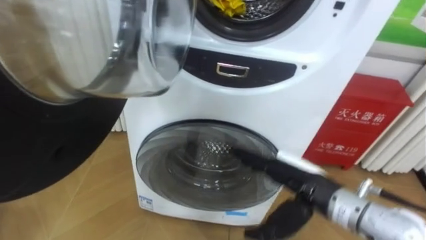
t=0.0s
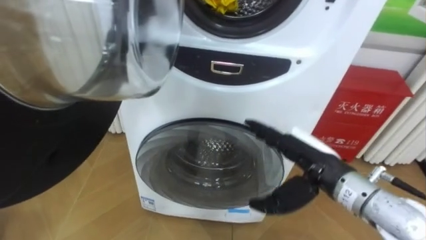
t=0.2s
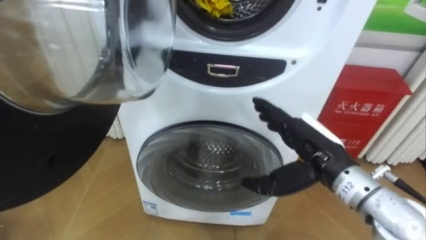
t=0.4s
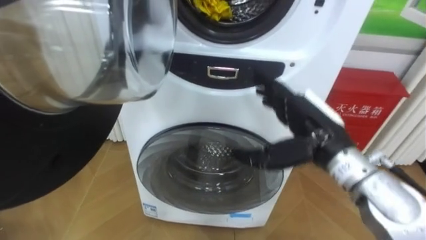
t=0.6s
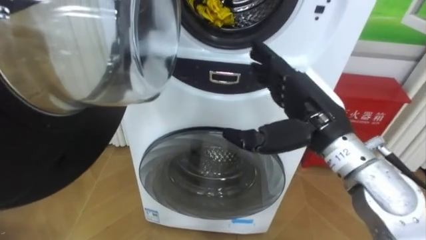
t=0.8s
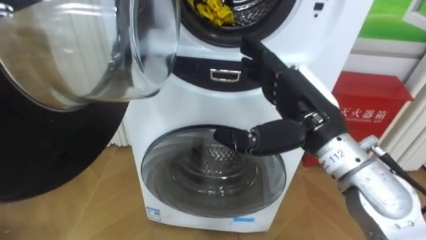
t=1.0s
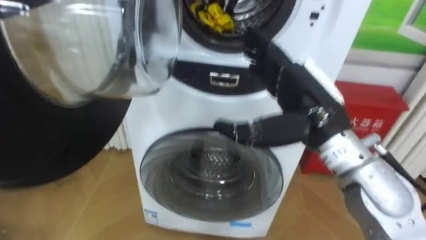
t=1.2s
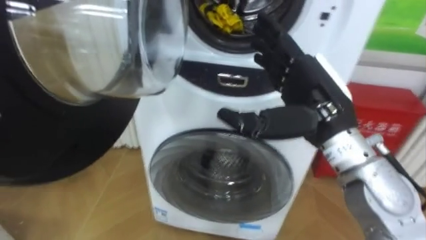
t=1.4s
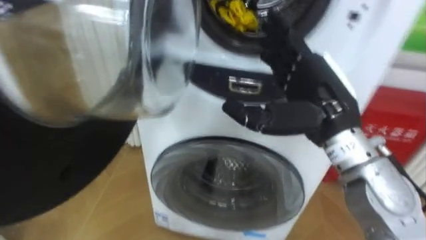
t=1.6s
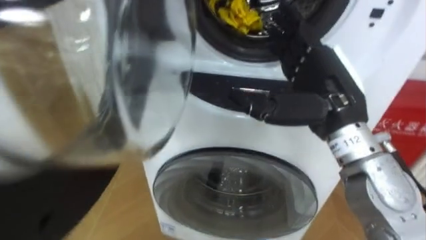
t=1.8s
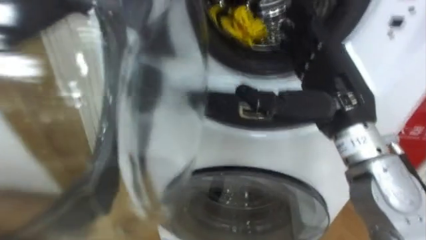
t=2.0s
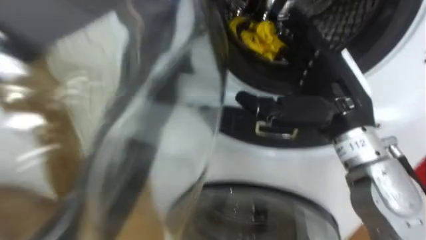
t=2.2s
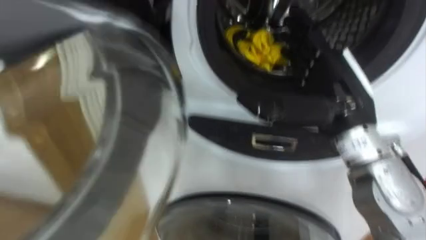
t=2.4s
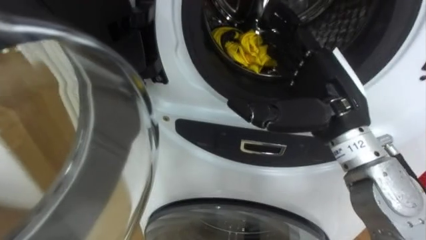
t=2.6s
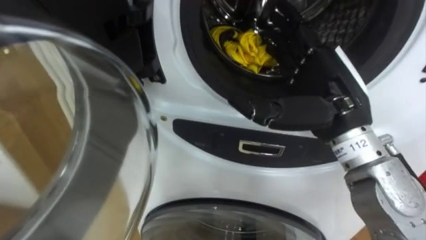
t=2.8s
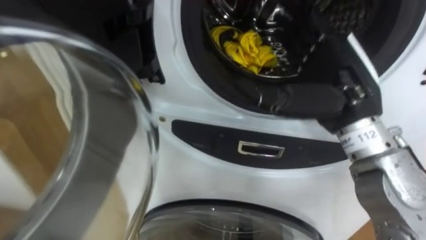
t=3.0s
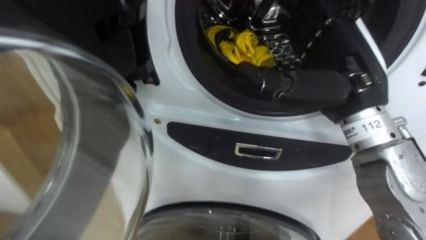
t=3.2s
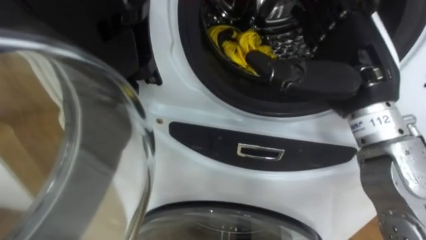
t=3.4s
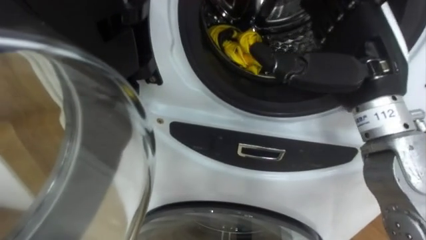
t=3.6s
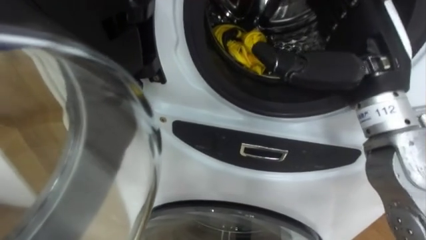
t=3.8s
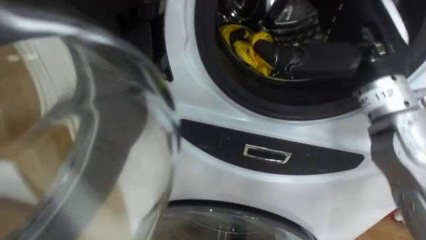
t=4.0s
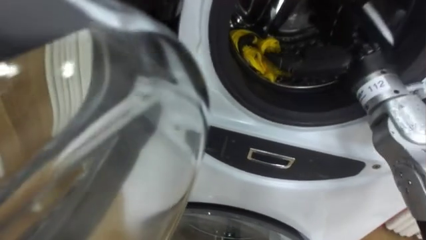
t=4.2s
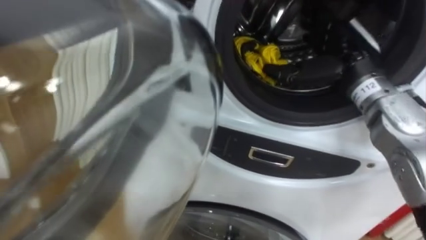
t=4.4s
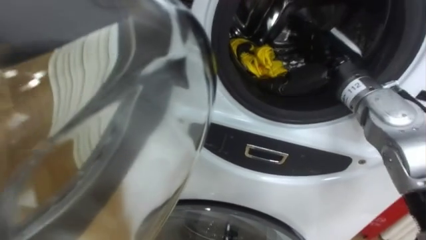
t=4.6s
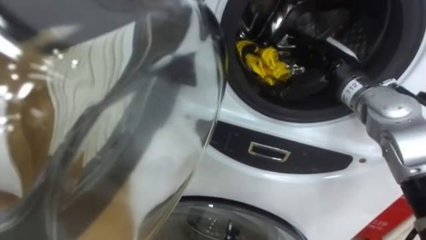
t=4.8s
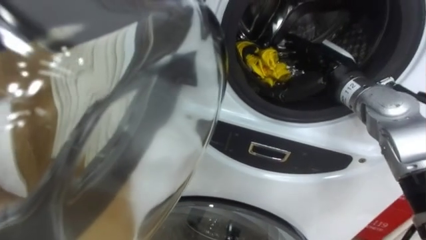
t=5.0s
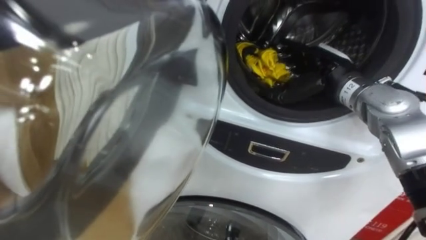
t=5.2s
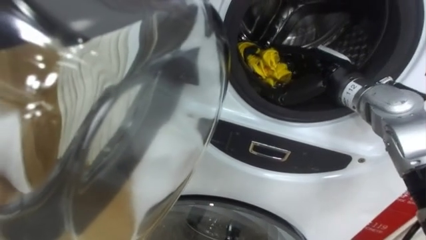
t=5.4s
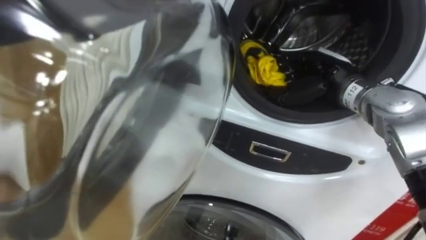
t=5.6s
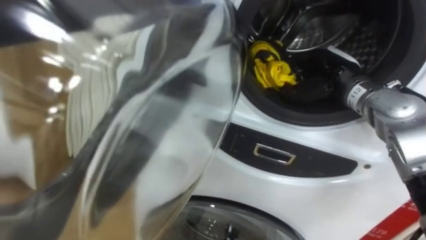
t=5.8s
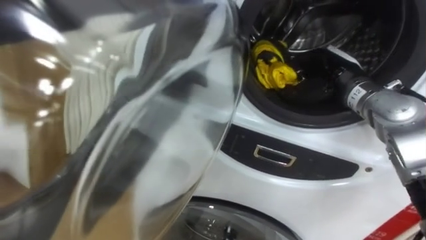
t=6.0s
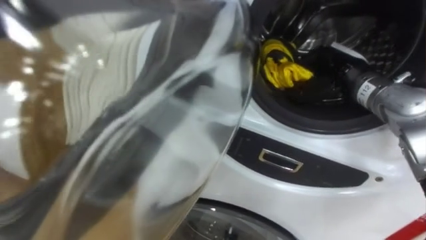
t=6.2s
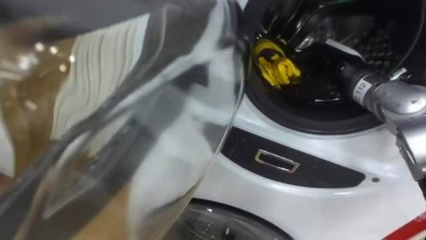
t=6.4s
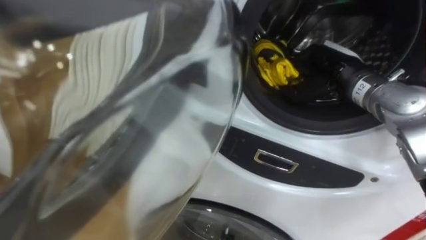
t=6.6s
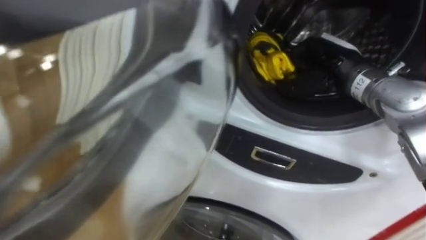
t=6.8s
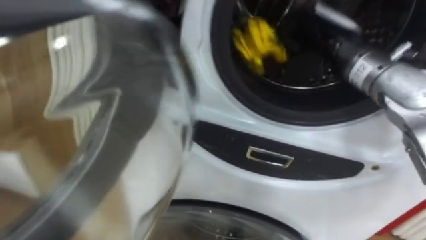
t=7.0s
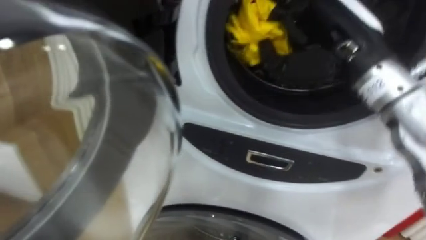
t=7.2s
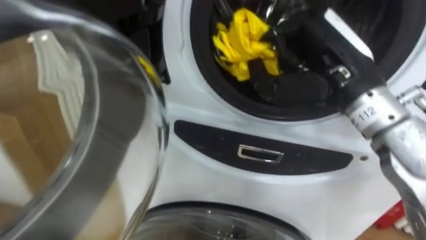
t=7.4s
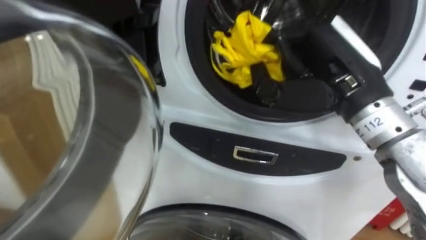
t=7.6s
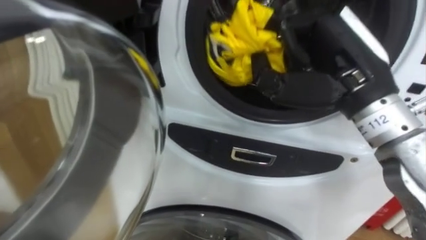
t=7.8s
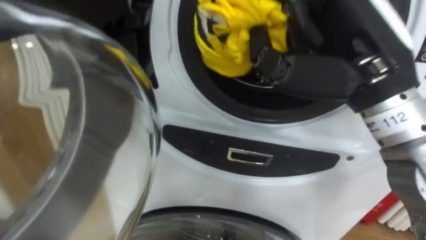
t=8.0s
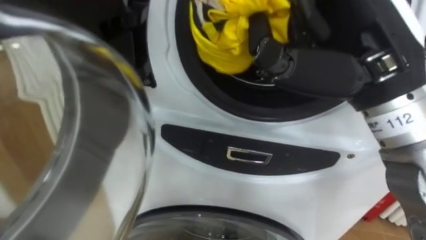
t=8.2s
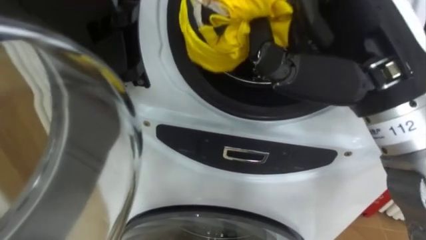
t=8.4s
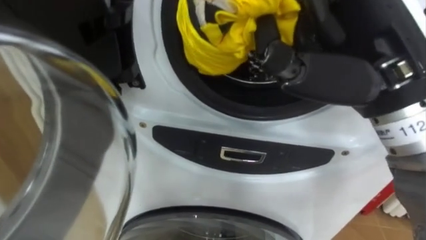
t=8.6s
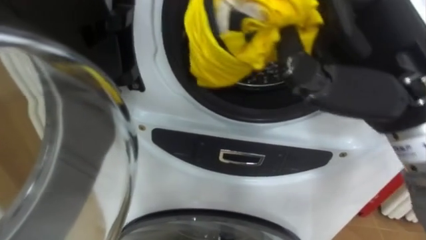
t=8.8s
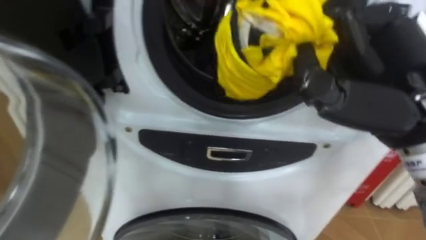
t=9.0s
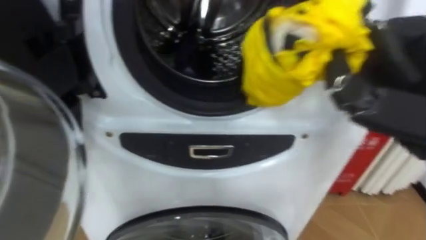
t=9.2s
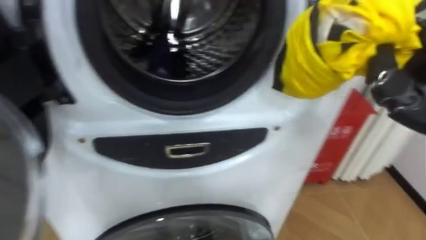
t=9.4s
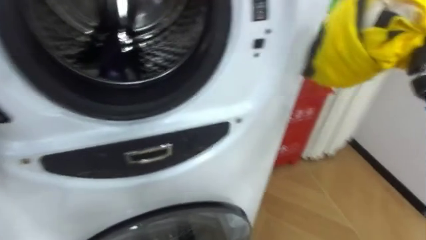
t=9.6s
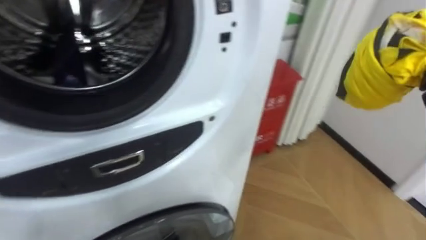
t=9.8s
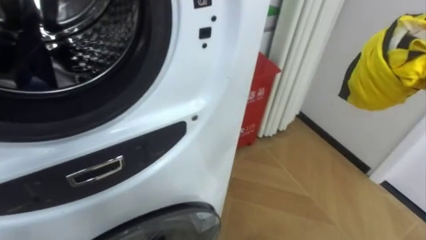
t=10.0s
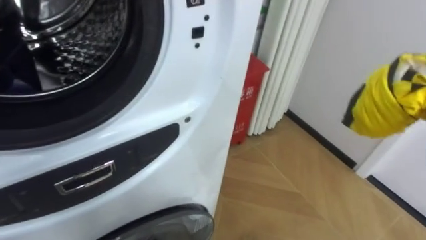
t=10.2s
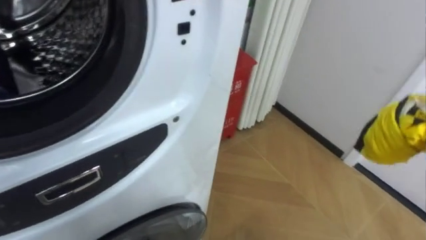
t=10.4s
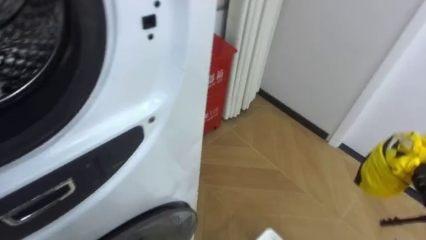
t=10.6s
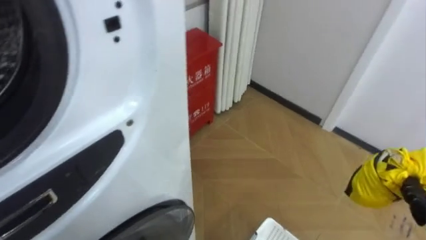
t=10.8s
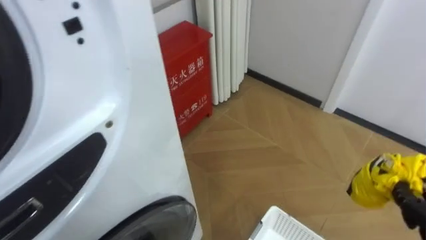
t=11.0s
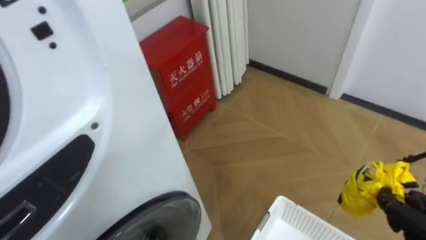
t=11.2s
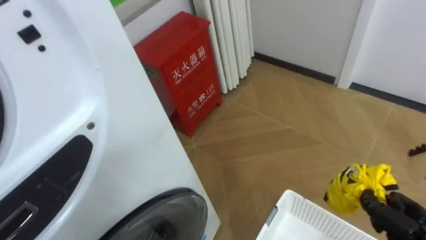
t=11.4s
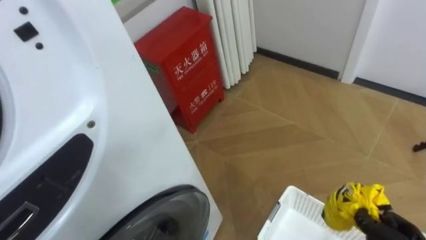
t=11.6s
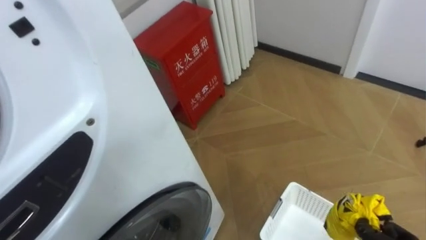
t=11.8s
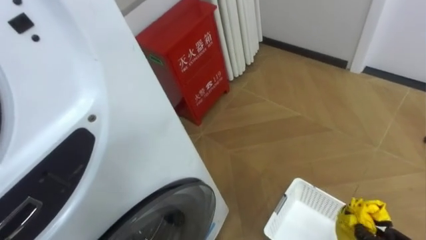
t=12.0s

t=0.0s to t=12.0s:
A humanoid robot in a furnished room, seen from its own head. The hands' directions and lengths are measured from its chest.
Task of the whole recording: Open the washing machine door, take out the yellow clothes, place them in the box on the right, and close the washing machine door.
t=0.0s to t=1.6s: The right hand heads upward, covering approximately 15 cm.
t=3.0s to t=4.4s: The right hand heads forward, covering roughly 10 cm.
t=4.4s to t=6.0s: The right hand moves downward, approximately 5 cm, and closes.
t=6.0s to t=7.6s: The right hand is displaced backward and upward by roughly 15 cm.
t=7.6s to t=9.0s: The right hand is displaced backward by roughly 5 cm.

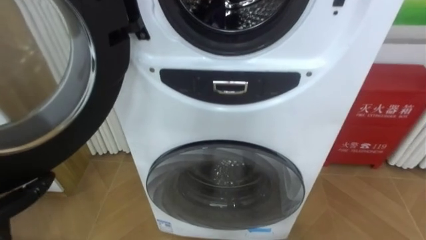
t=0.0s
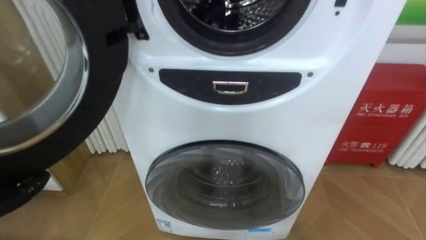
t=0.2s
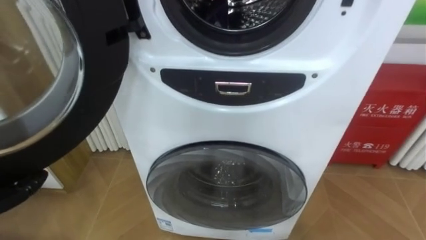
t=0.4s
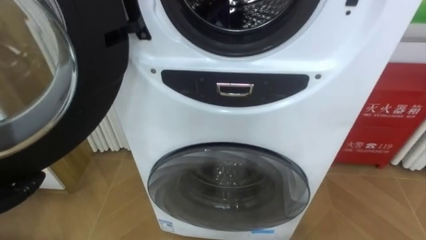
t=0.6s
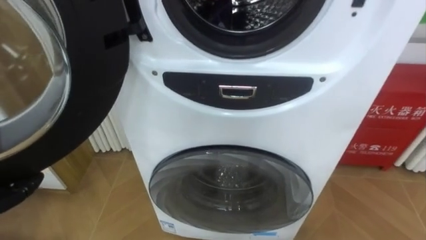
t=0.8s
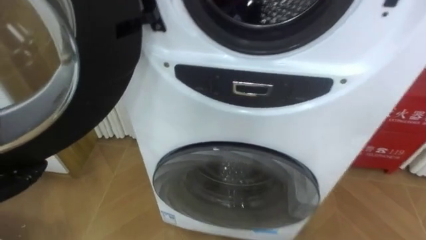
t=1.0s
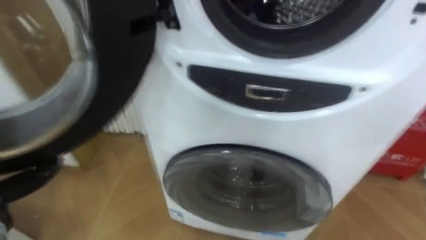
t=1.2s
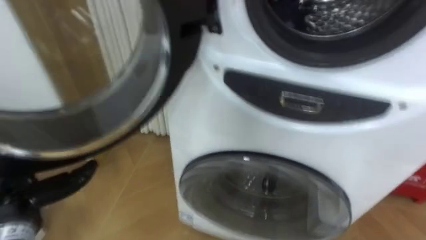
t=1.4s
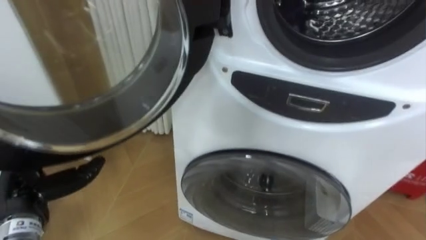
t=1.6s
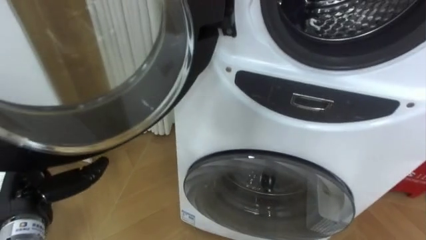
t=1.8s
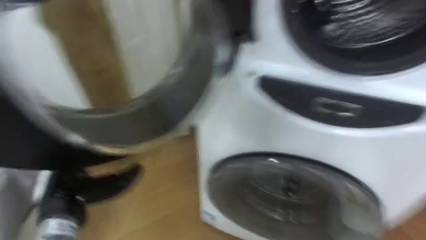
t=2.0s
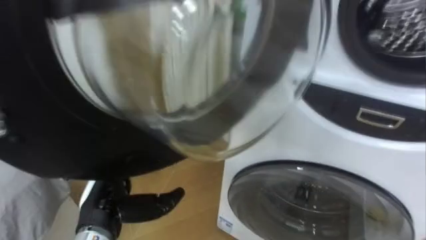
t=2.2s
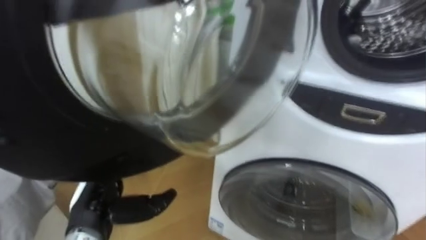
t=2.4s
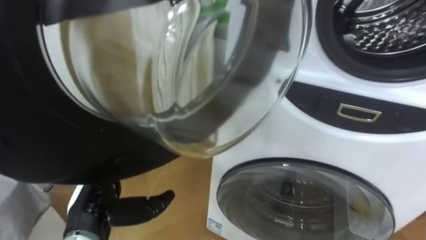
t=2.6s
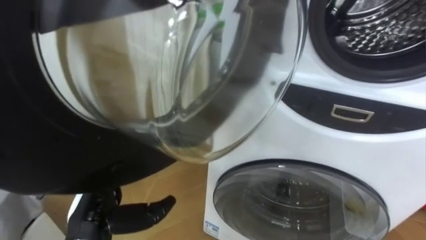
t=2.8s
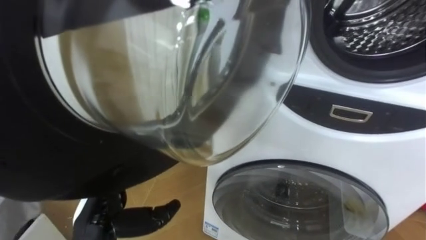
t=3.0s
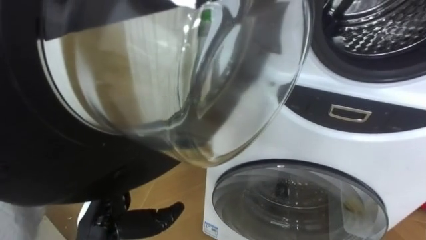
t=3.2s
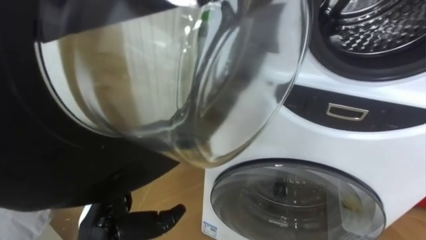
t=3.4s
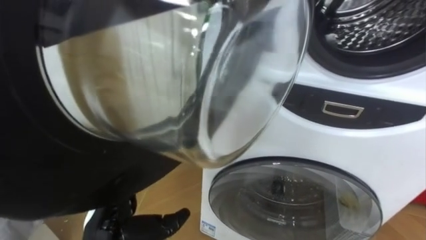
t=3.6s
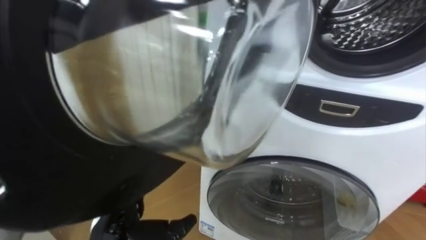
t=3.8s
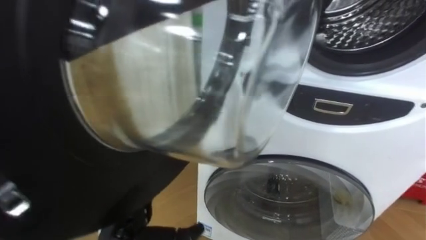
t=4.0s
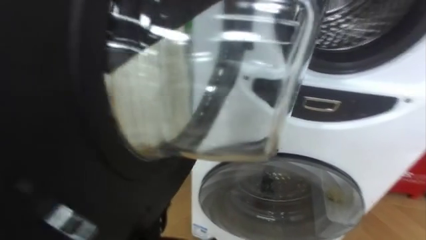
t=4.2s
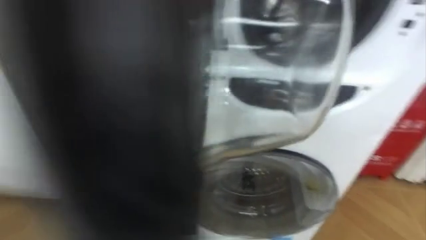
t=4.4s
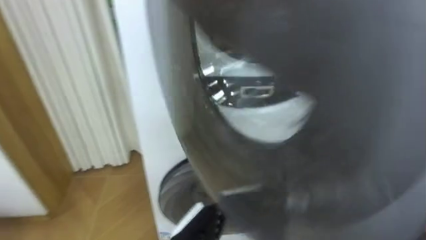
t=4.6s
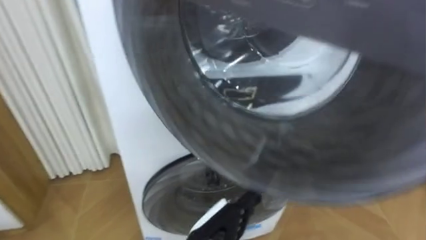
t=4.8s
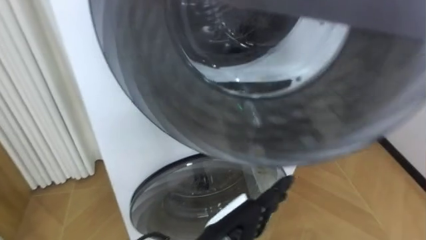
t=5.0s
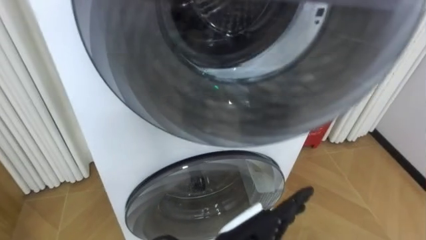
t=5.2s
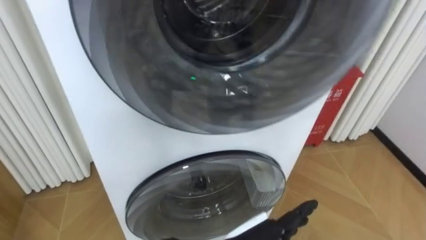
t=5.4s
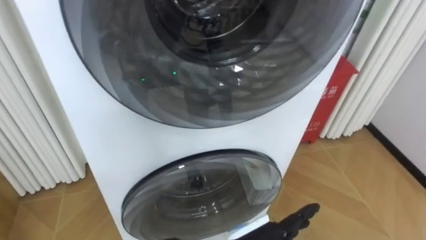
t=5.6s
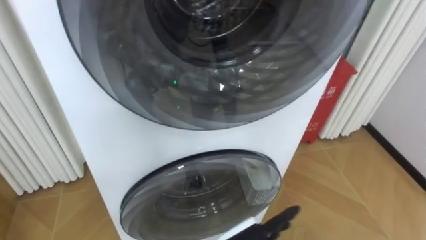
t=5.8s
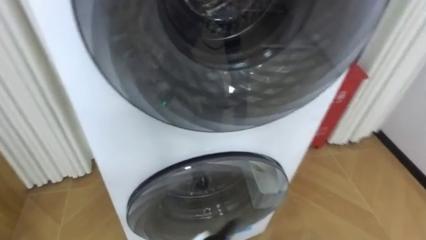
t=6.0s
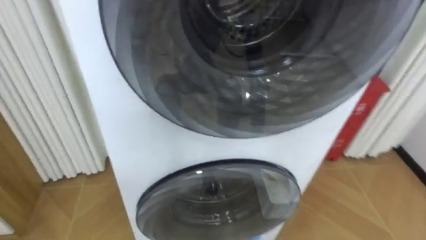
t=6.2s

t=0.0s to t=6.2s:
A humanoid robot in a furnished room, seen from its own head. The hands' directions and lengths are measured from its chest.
Task of the whole recording: Open the washing machine door, take out the yellow clothes, place them in the box on the right, and close the washing machine door.
t=1.6s to t=3.2s: The left hand moves to the right, some 10 cm.
